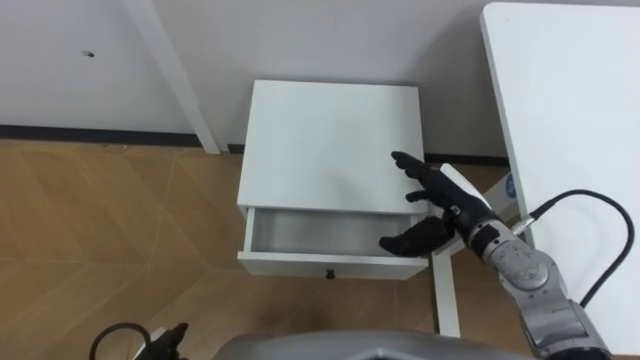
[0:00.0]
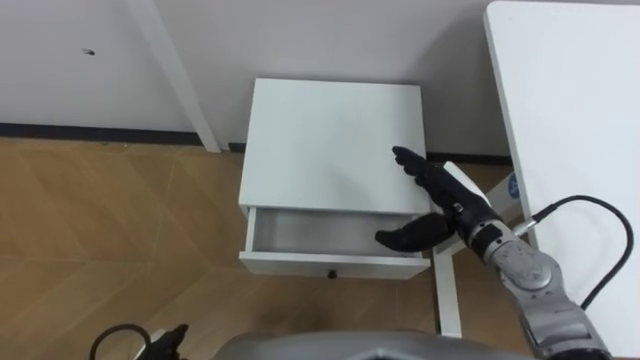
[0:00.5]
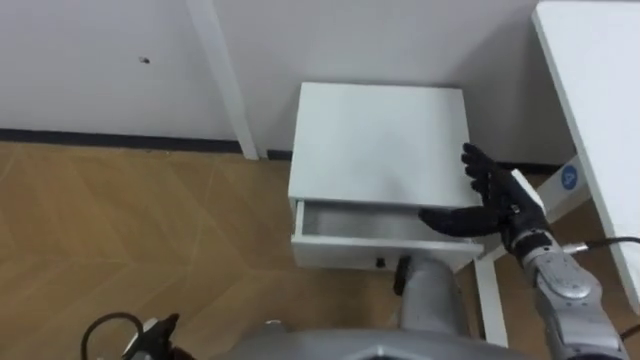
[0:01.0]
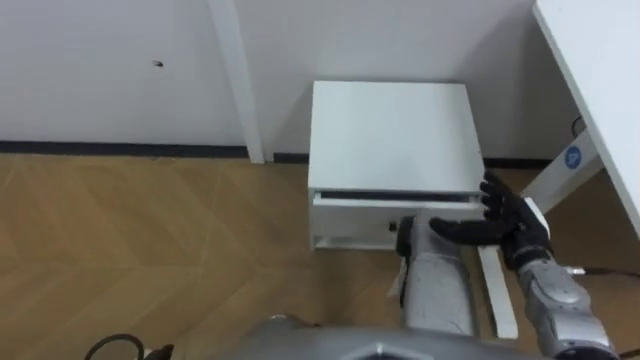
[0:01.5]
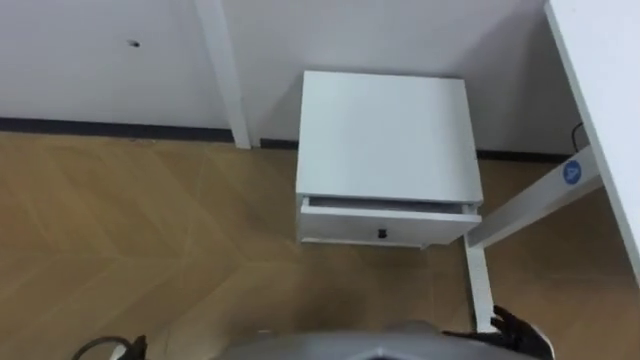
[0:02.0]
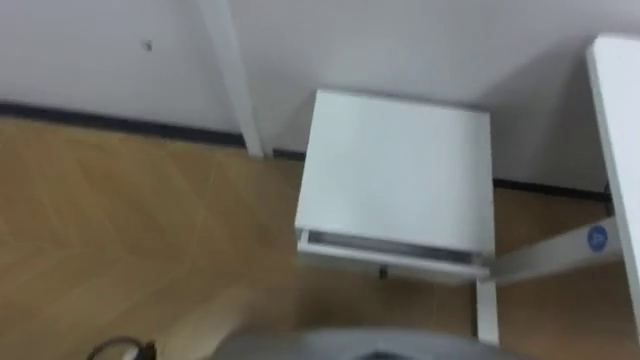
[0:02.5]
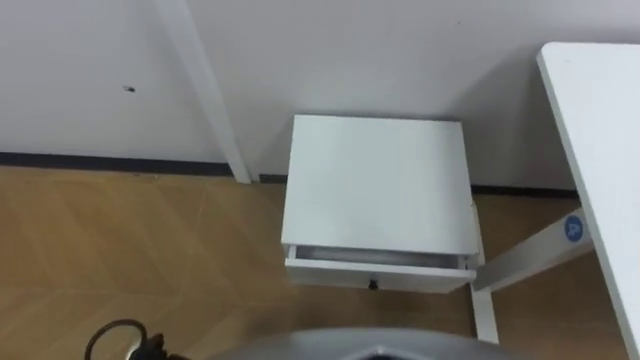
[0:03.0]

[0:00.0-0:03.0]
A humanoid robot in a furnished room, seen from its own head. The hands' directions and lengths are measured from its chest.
Task of the whole recording: Pick up the apple from the table, put it in the drawer, and close the drawer with leg.
0:00.0 to 0:01.5: The right hand goes roughly 10 cm to the right and downward.

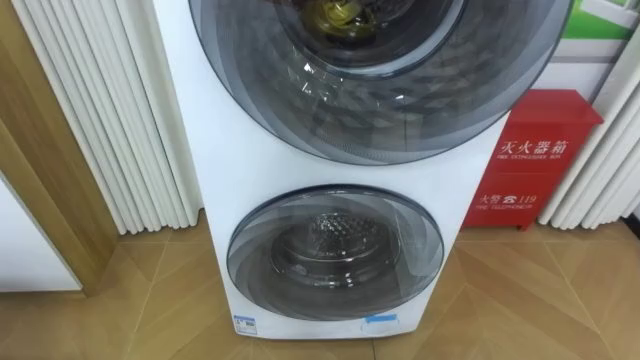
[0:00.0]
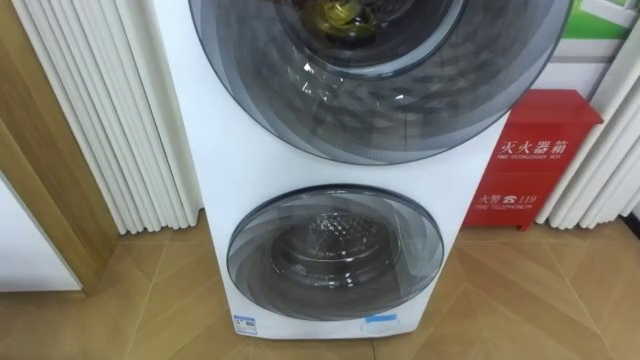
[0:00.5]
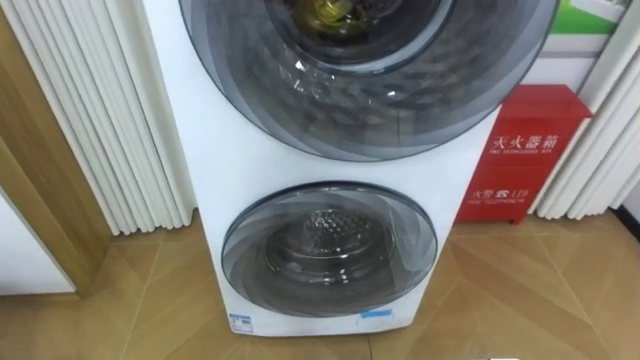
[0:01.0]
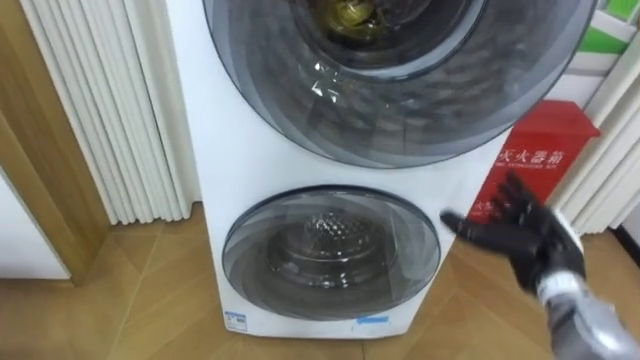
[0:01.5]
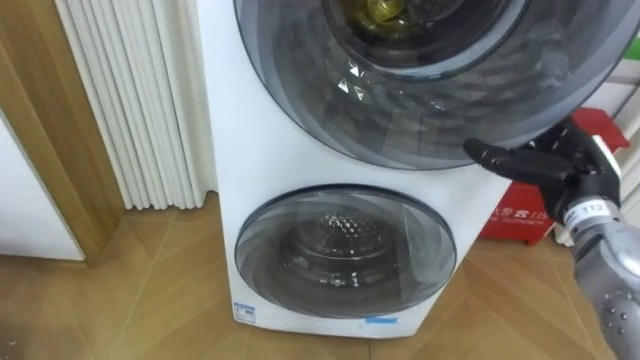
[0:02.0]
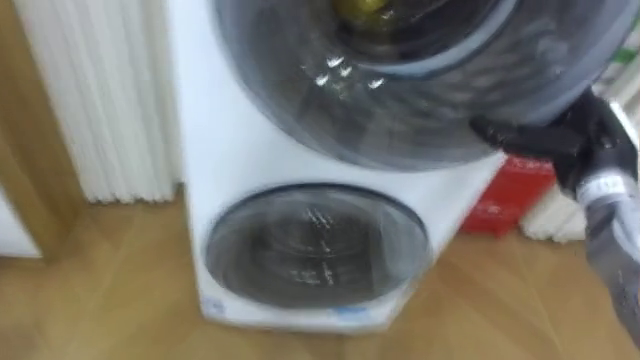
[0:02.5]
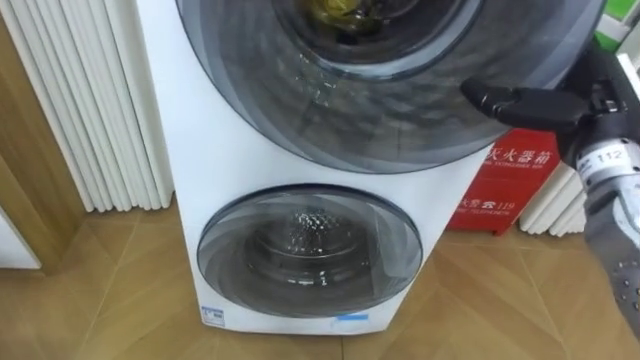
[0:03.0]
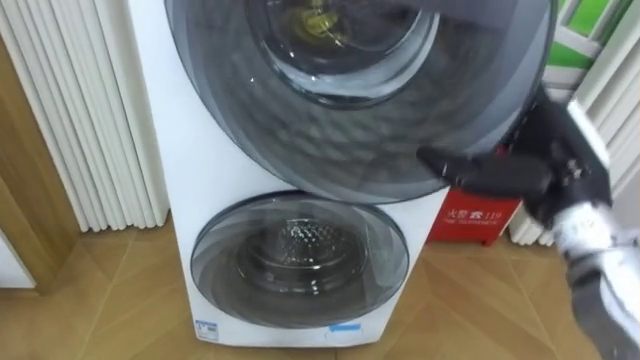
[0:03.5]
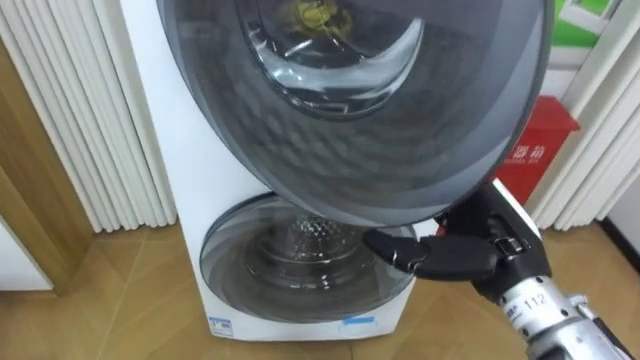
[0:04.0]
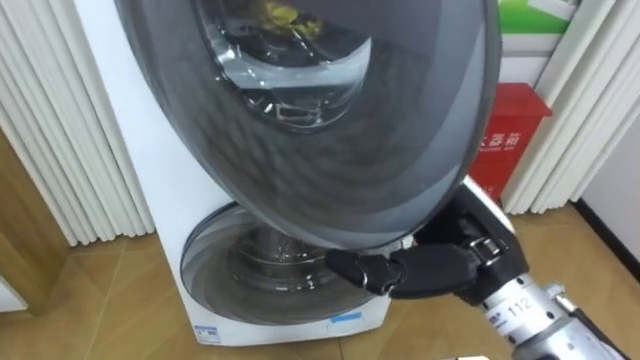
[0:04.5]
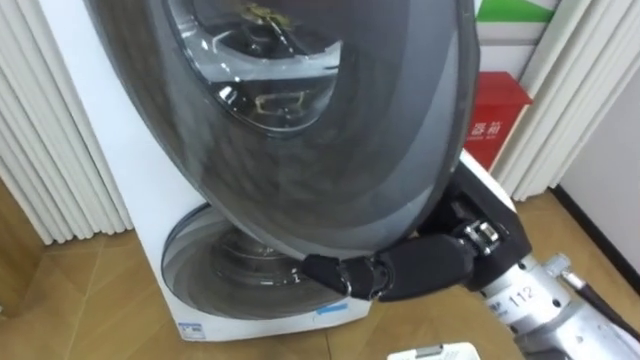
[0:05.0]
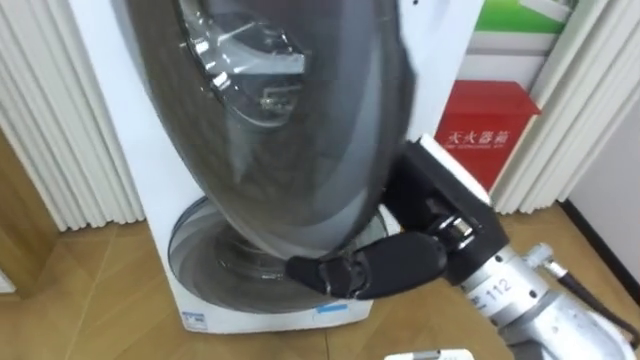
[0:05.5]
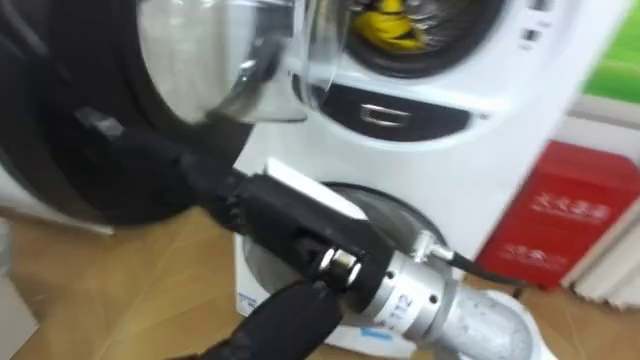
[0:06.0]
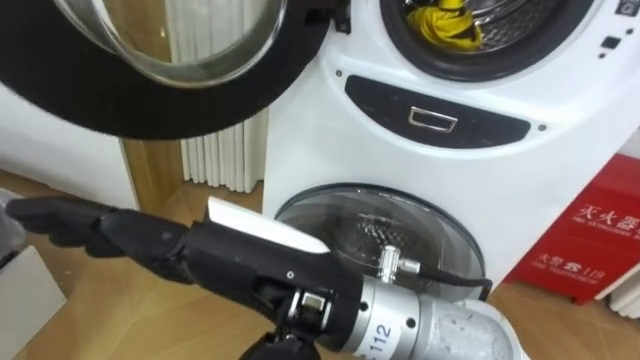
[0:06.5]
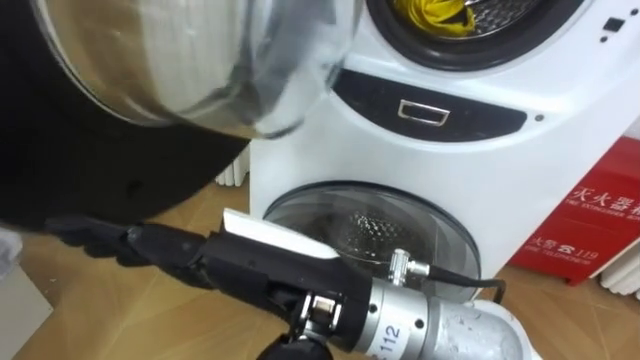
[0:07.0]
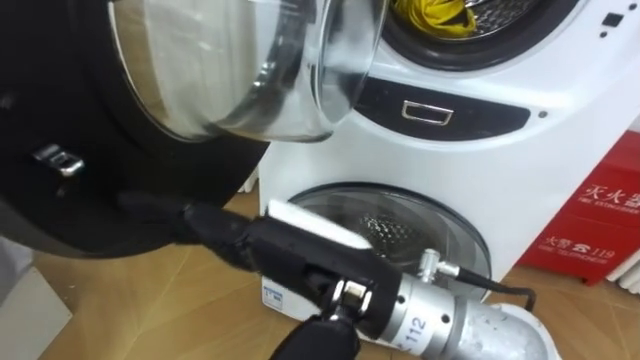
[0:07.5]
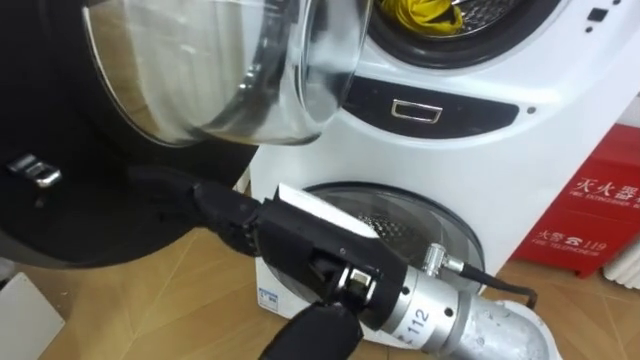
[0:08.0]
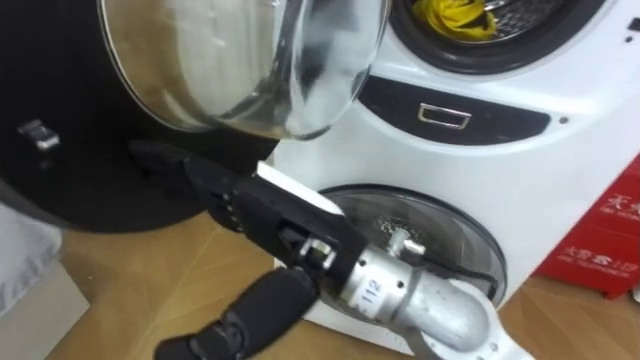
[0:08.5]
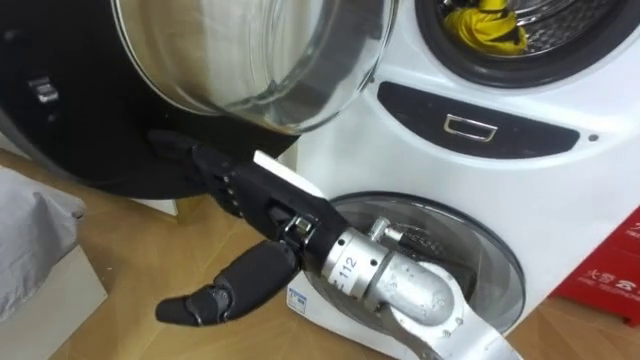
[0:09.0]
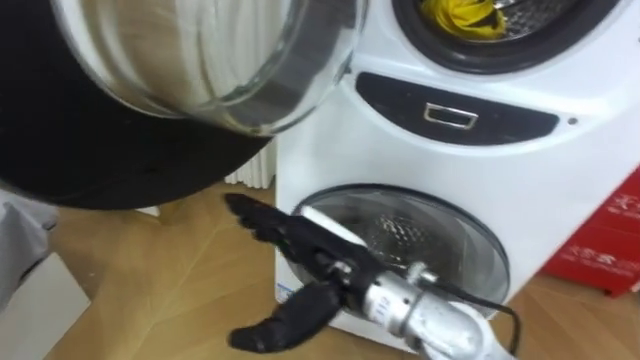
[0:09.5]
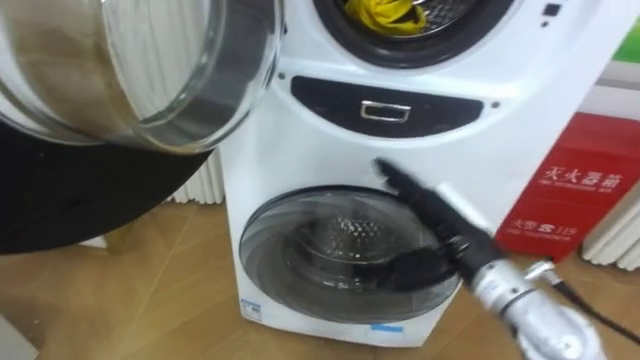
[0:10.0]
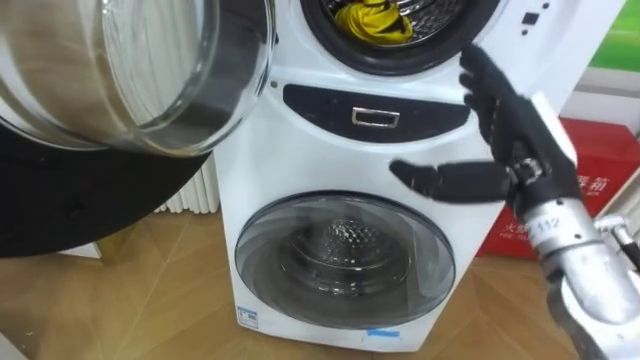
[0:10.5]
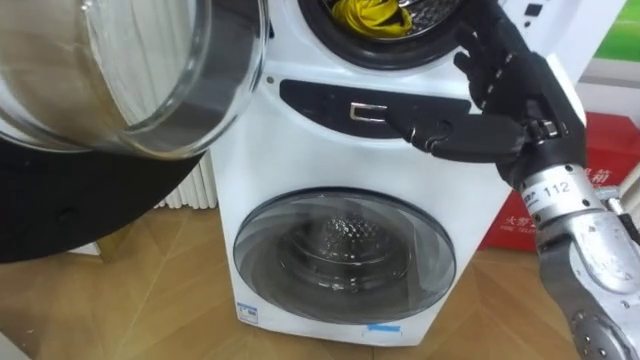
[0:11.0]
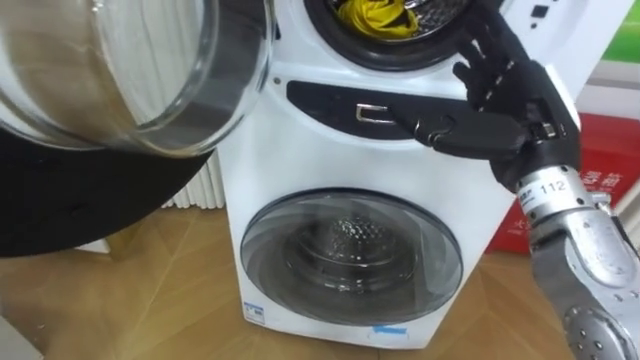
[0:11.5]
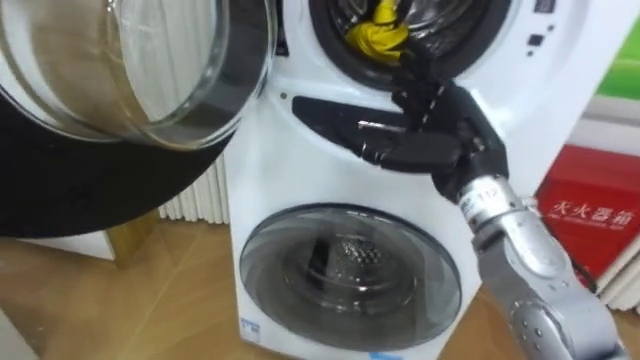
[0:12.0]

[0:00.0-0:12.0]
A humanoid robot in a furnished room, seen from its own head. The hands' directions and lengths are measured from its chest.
Task of the whole recording: Open the washing machine door, take out the yellow clothes, place them in the box on the right, and close the washing machine door.
0:02.0 to 0:04.0: The right hand goes some 15 cm to the left and backward.
0:04.0 to 0:06.0: The right hand heads to the left, upward and backward, covering some 20 cm.
0:08.0 to 0:10.0: The right hand travels to the right, downward and forward by about 20 cm.
0:10.0 to 0:12.0: The right hand heads upward, covering about 10 cm.

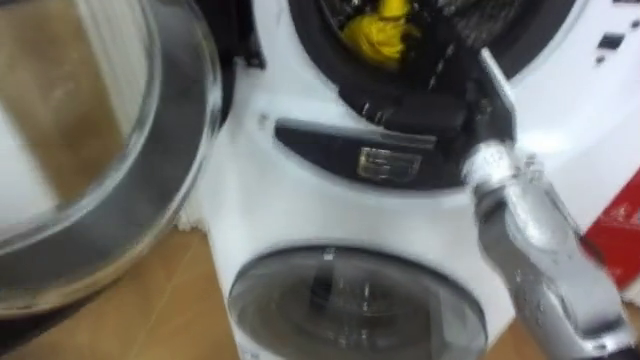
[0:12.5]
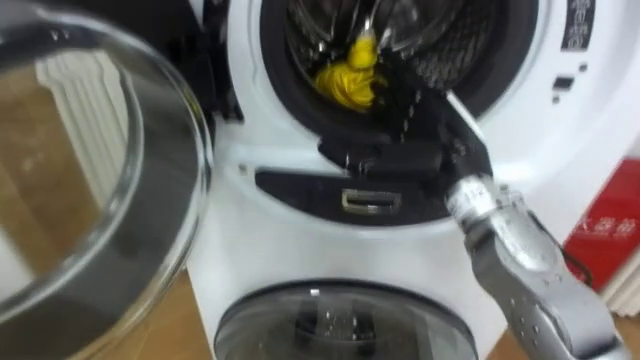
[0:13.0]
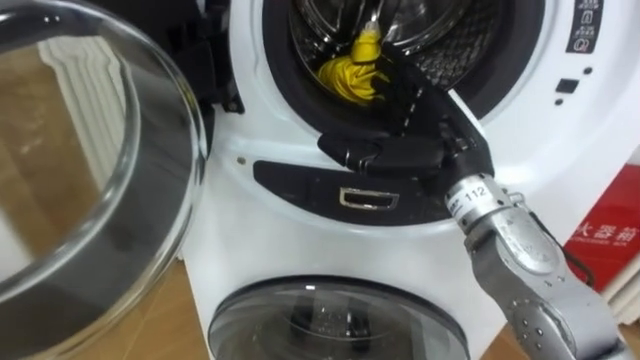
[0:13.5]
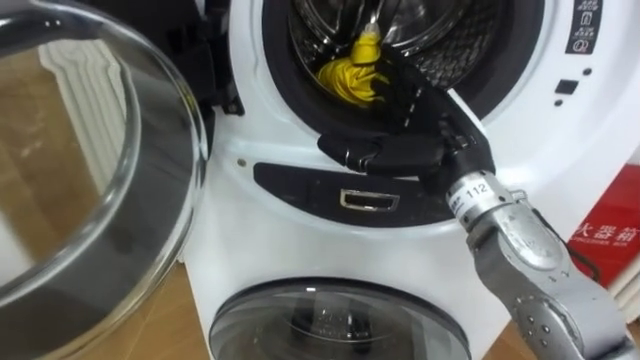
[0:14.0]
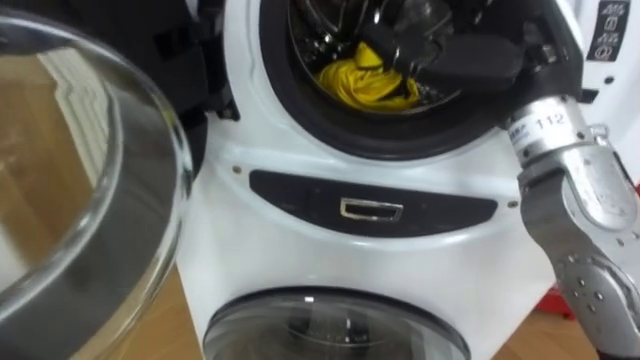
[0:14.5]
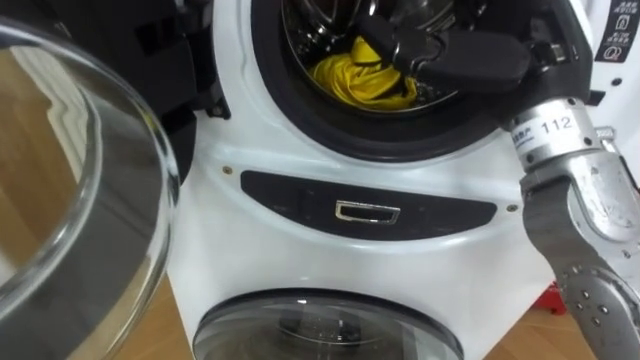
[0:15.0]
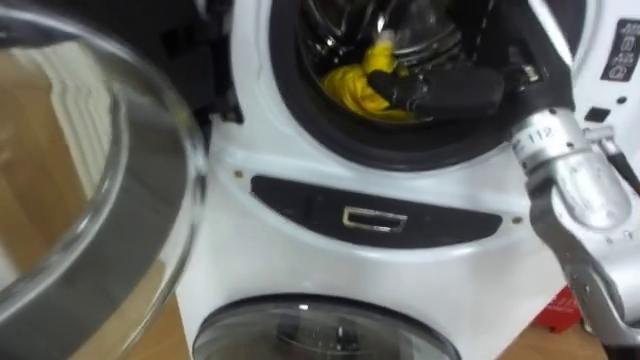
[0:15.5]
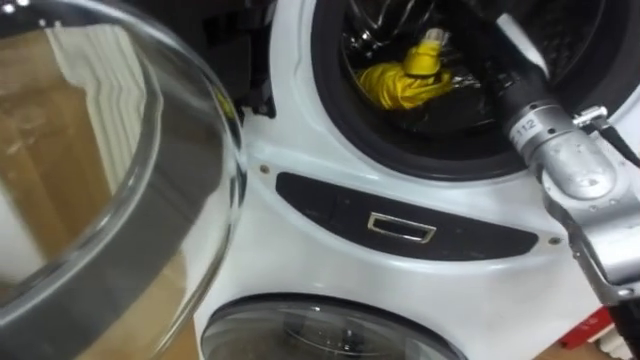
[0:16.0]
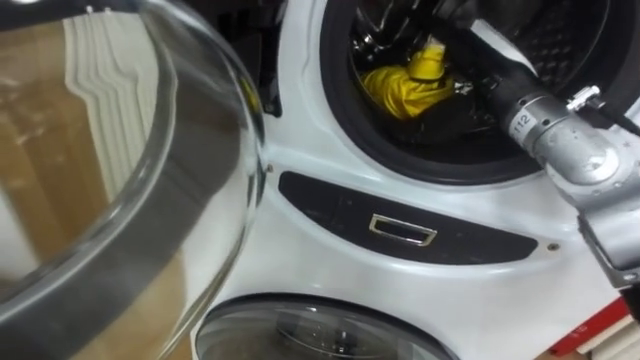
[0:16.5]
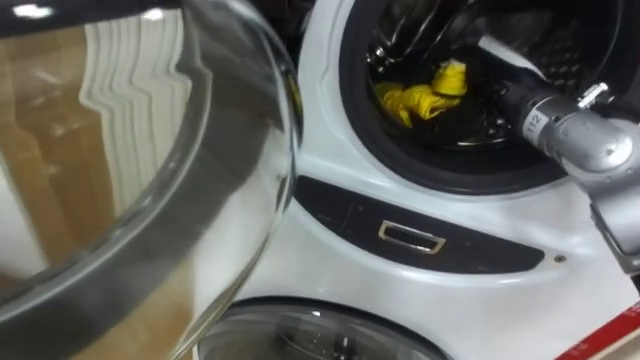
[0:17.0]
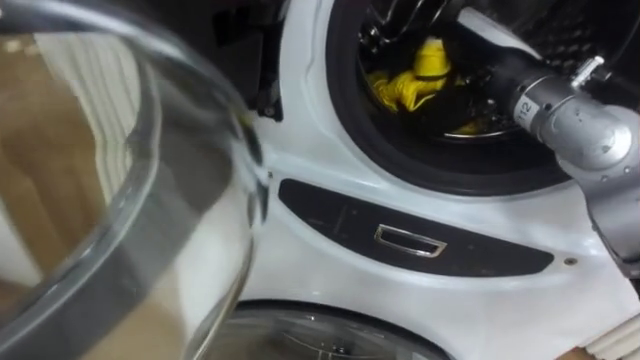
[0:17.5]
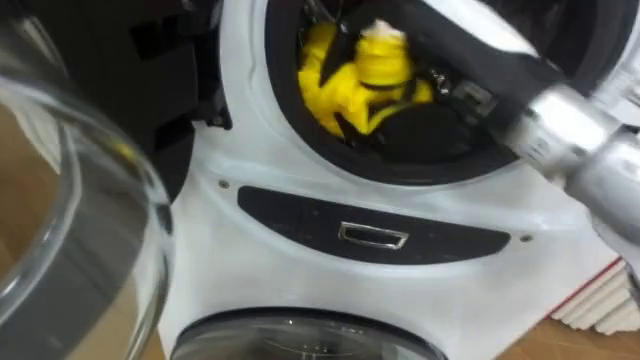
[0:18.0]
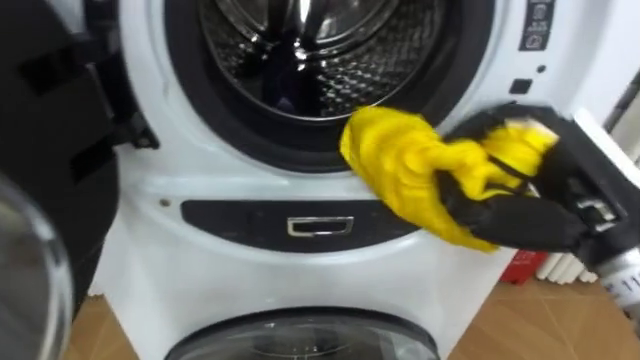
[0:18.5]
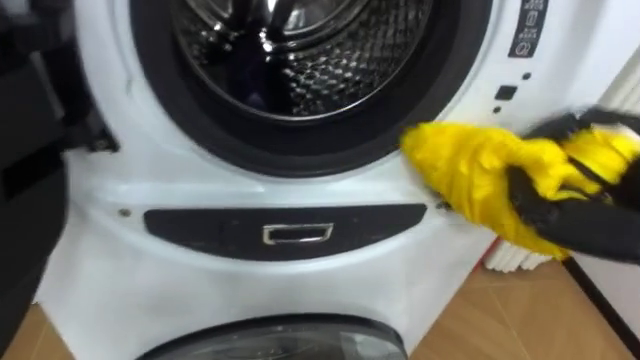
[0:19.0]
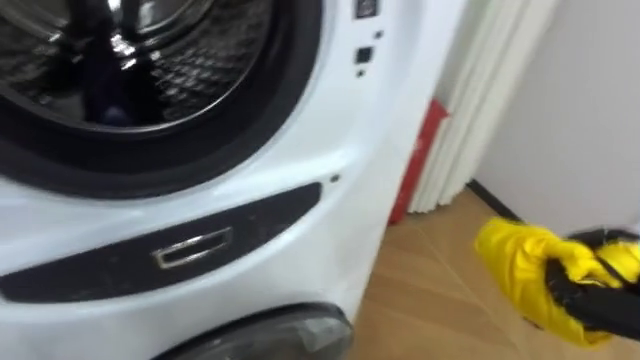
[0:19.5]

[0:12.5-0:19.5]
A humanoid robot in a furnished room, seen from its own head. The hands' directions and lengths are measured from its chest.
Task of the whole recording: Open the washing machine door, take out the yellow clothes, place them in the box on the right, and close the washing machine door.
0:12.5 to 0:14.5: The right hand travels upward by about 5 cm.
0:14.5 to 0:16.0: The right hand moves forward and downward, about 10 cm.
0:16.0 to 0:17.5: The right hand closes up.
